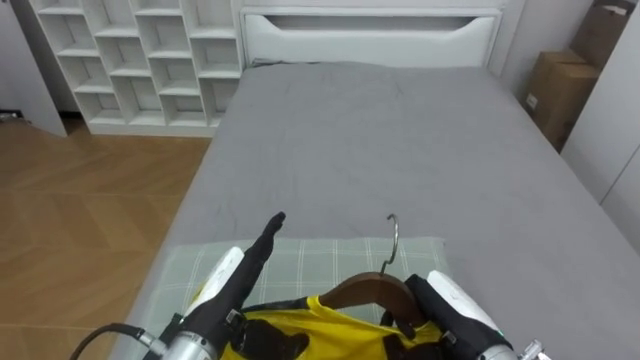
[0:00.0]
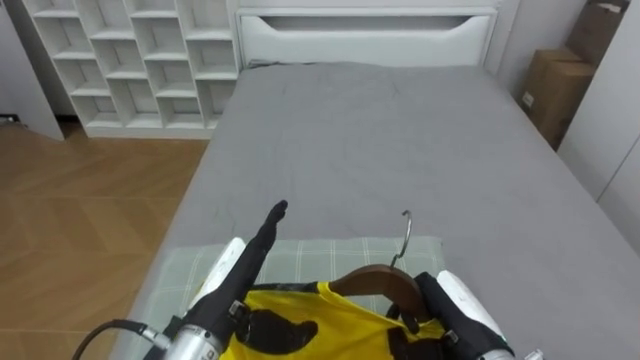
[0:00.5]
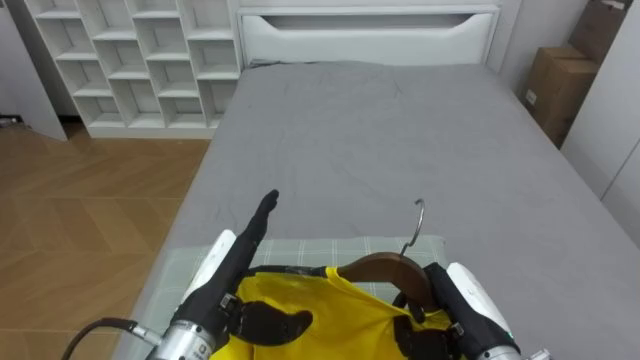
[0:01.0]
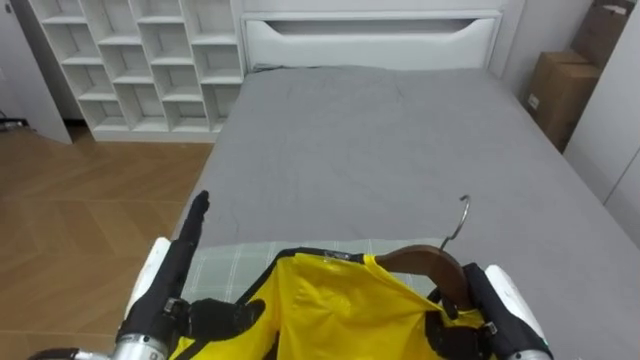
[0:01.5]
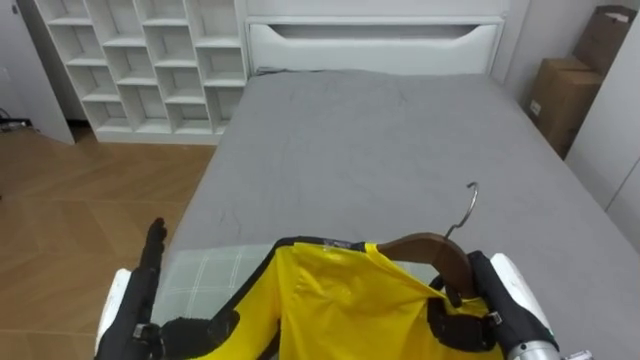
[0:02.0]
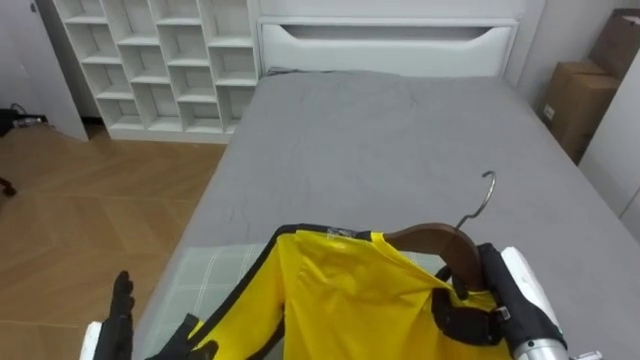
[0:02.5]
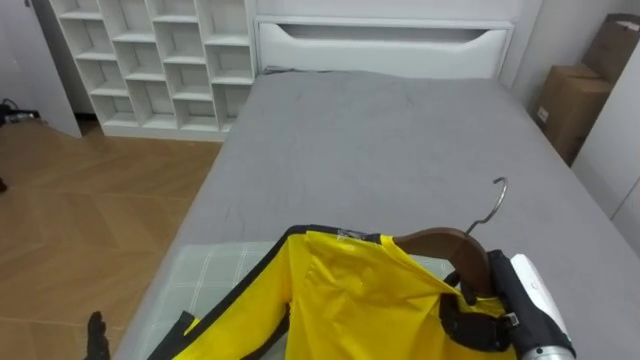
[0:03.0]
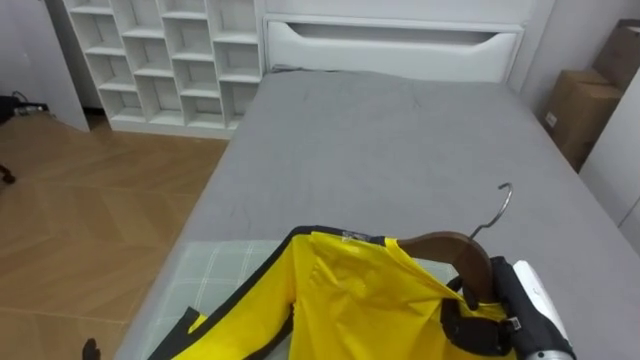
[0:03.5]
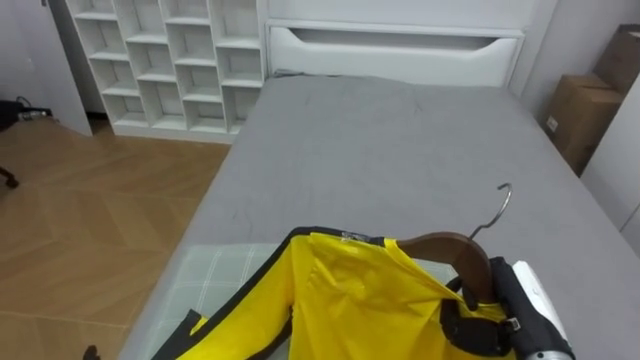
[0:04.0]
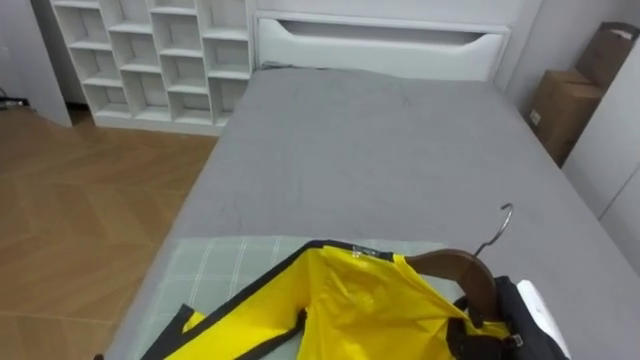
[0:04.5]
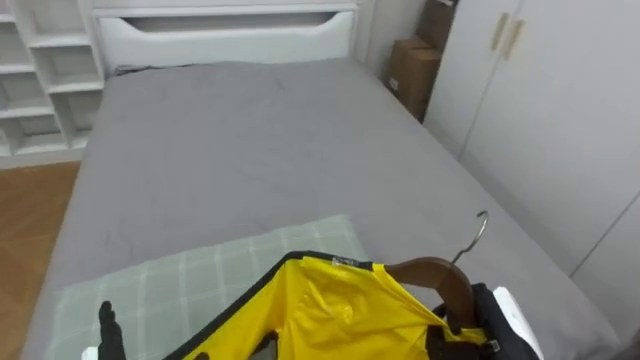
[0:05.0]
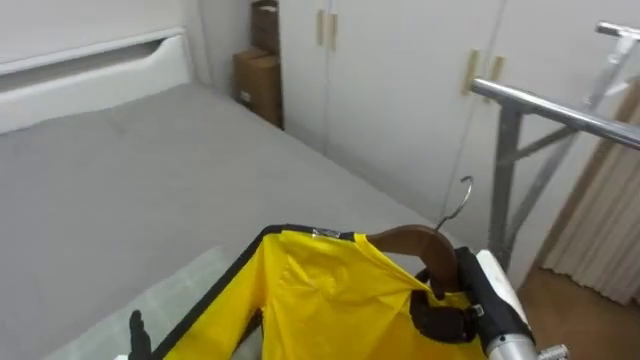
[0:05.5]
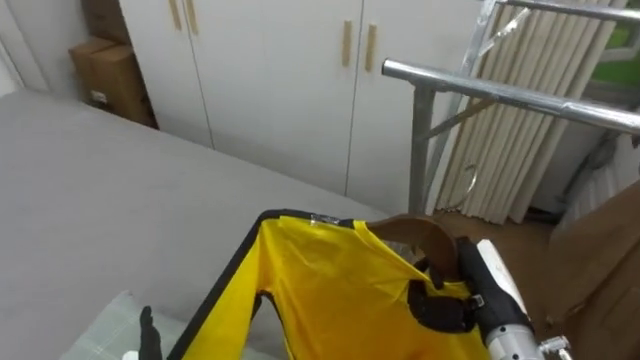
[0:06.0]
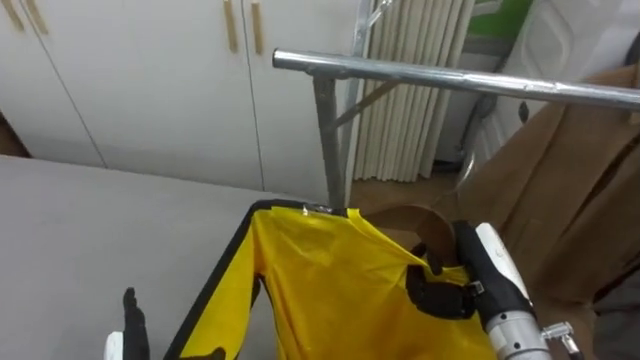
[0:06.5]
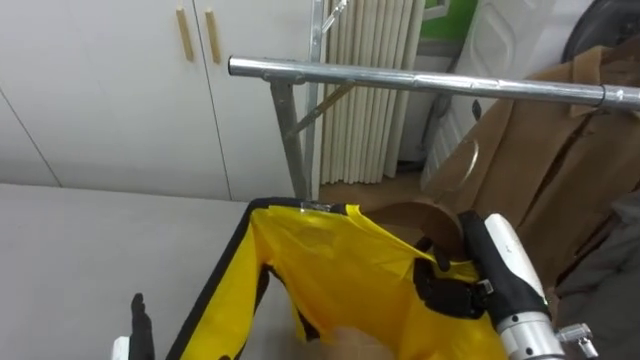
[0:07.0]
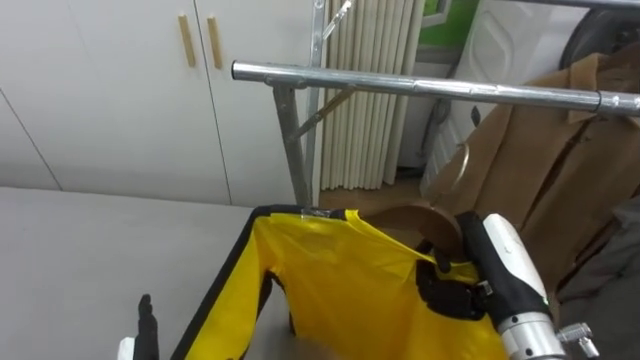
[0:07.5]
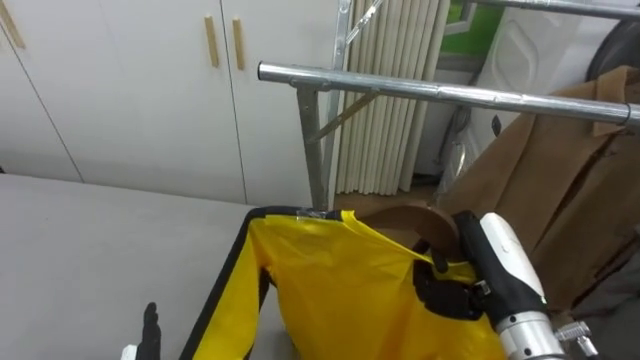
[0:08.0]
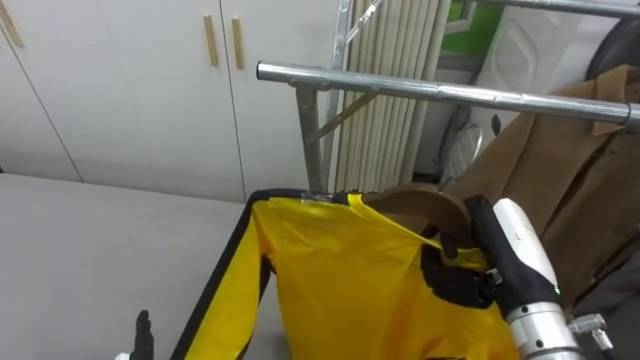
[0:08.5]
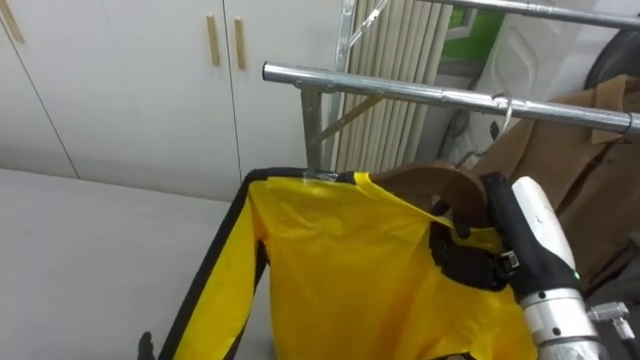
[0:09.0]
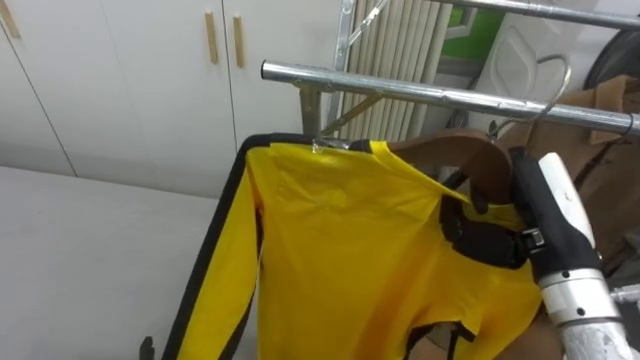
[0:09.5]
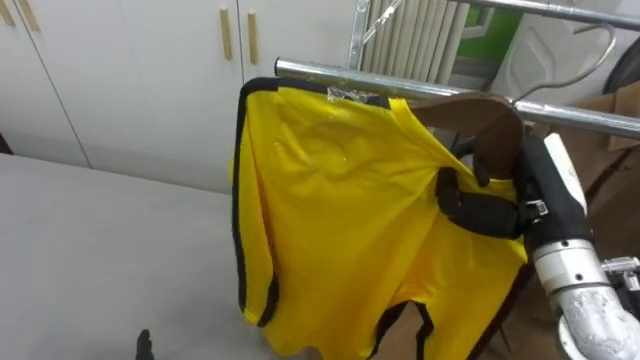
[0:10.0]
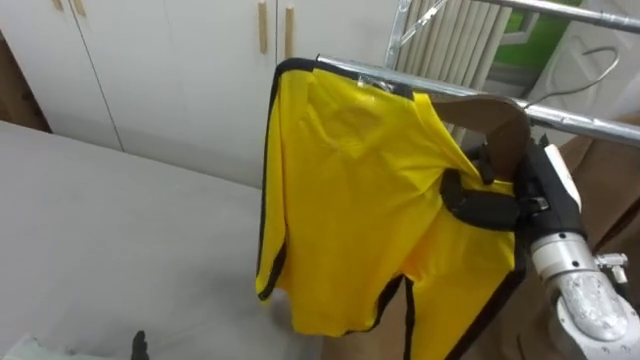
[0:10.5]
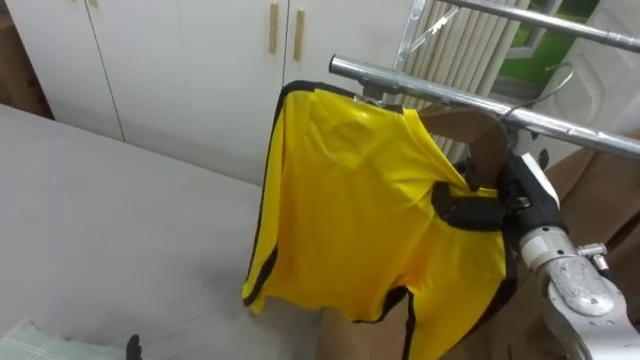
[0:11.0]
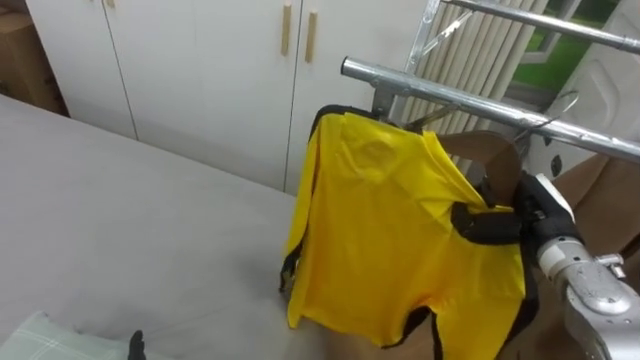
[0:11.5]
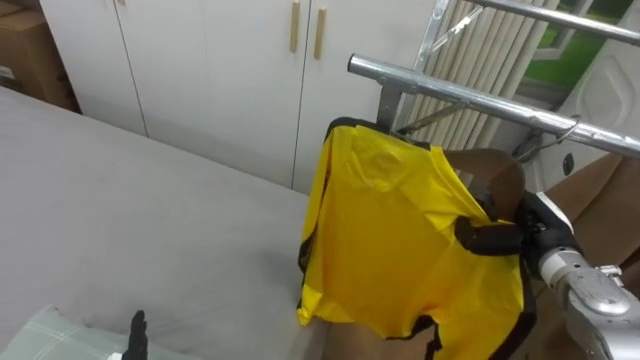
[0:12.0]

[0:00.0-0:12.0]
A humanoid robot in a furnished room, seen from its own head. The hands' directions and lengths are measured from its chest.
Task of the whole recording: Pick up the yellow shirt on the bed and hang it on the clothes rack on the right.
0:00.0 to 0:02.0: The left hand is displaced to the left by some 10 cm, while the right hand is displaced to the right by approximately 5 cm.
0:04.0 to 0:06.0: The robot faces roughly 65 degrees further to its right.
0:06.0 to 0:08.0: The robot faces roughly 20 degrees further to its right. The right hand travels upward by roughly 5 cm.
0:08.0 to 0:10.0: The right hand heads upward, covering some 10 cm.
0:10.0 to 0:12.0: The right hand shifts about 15 cm downward and forward.

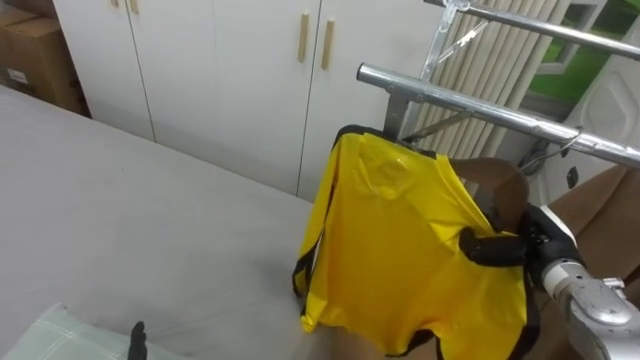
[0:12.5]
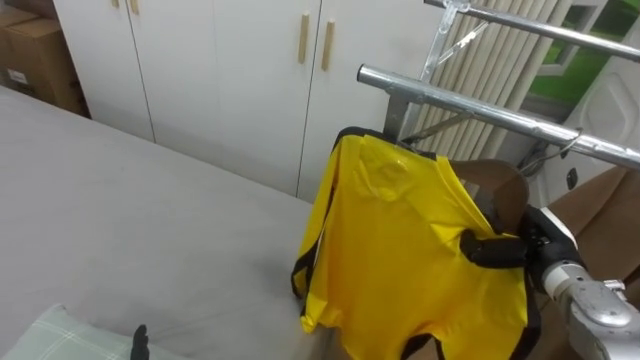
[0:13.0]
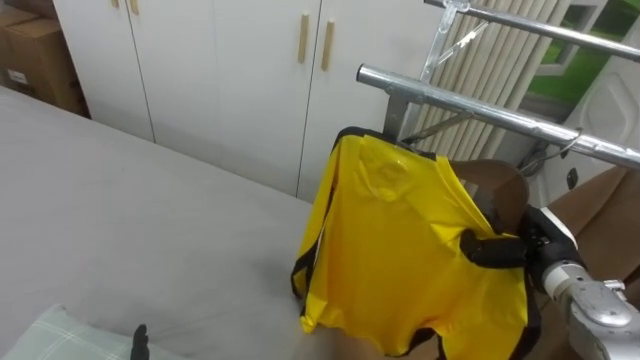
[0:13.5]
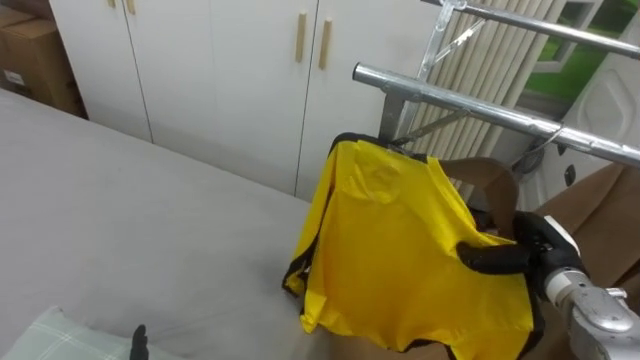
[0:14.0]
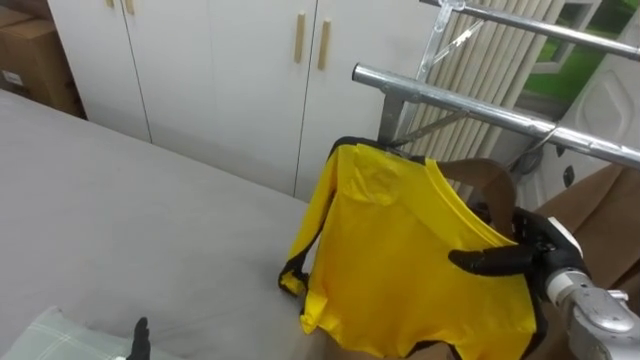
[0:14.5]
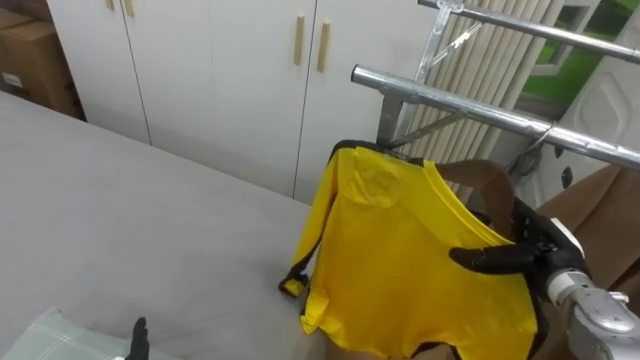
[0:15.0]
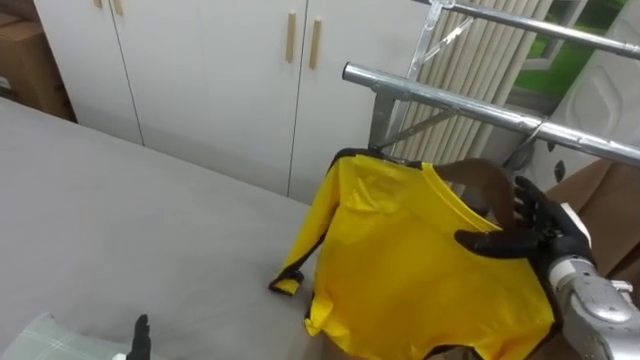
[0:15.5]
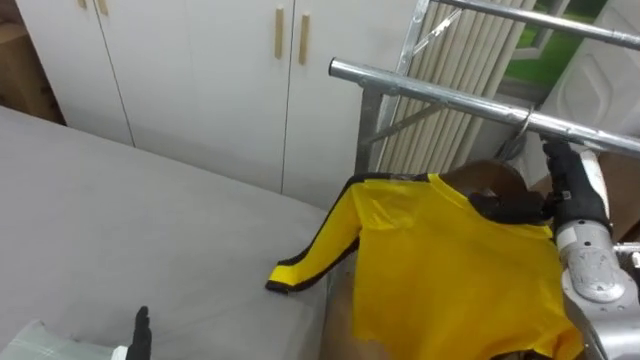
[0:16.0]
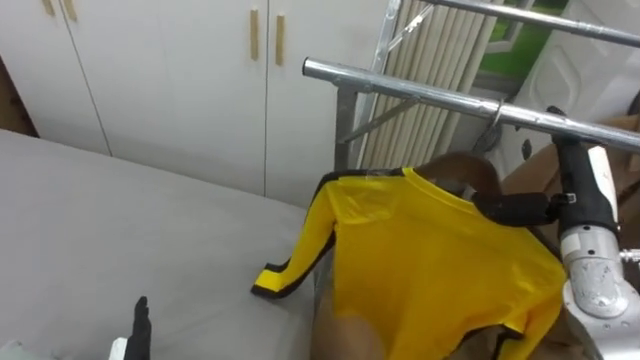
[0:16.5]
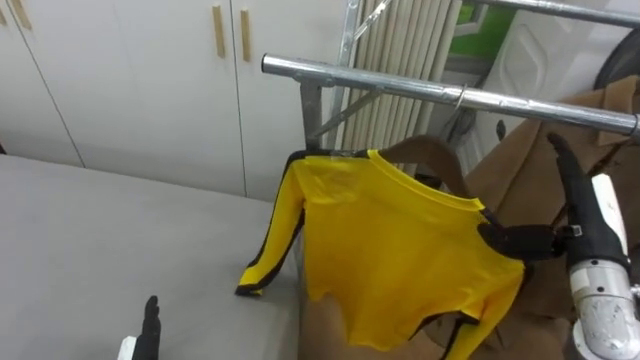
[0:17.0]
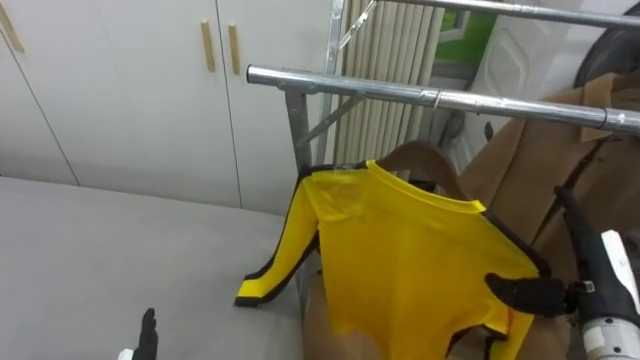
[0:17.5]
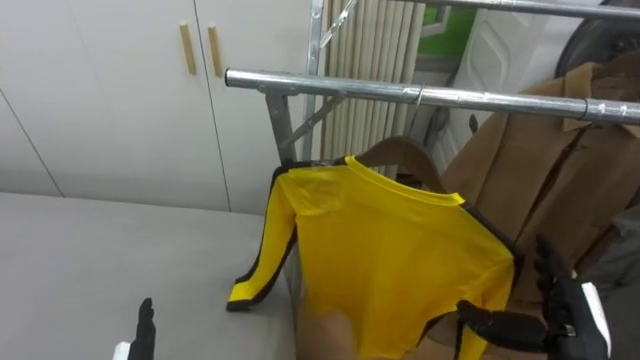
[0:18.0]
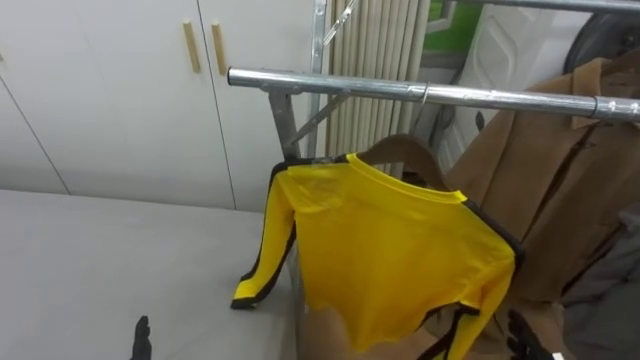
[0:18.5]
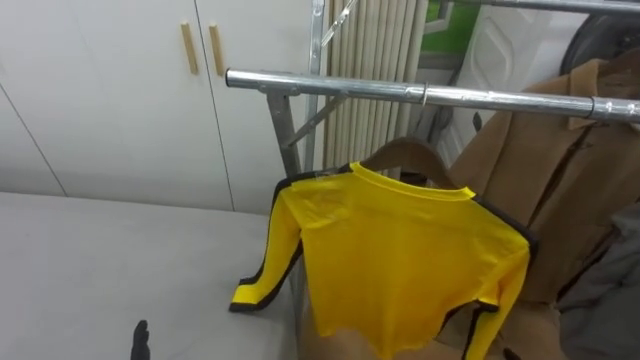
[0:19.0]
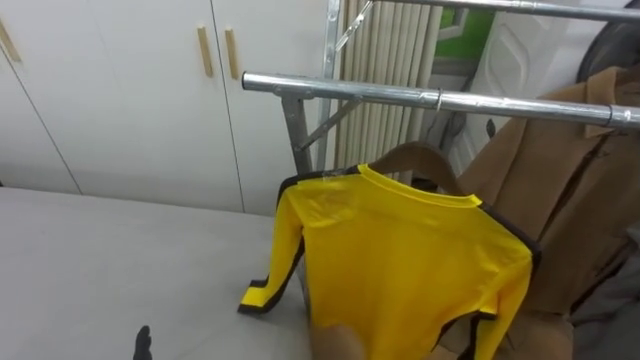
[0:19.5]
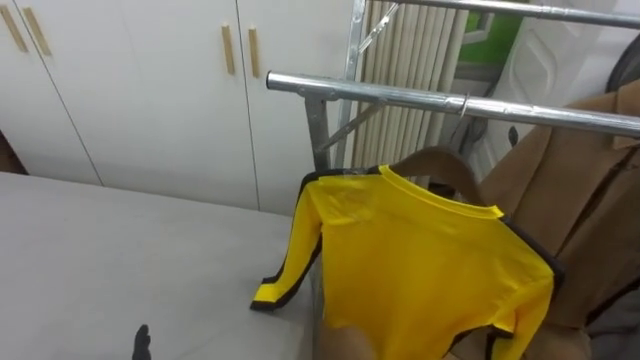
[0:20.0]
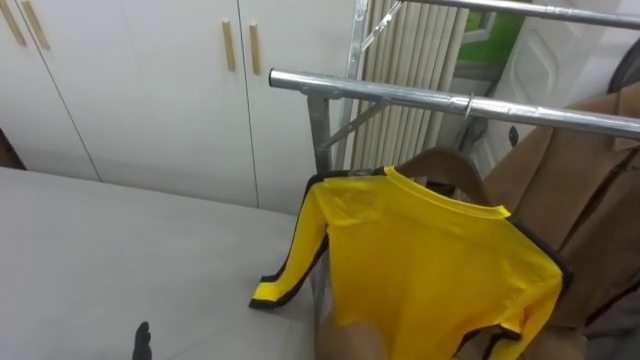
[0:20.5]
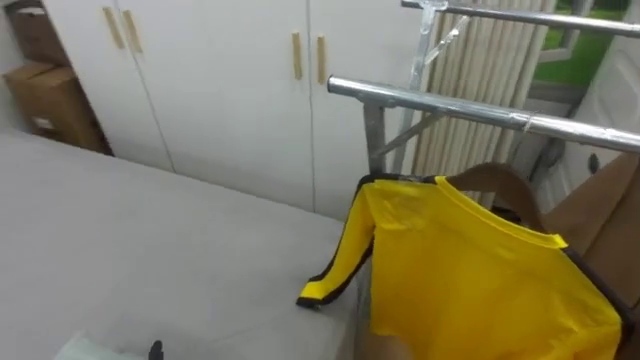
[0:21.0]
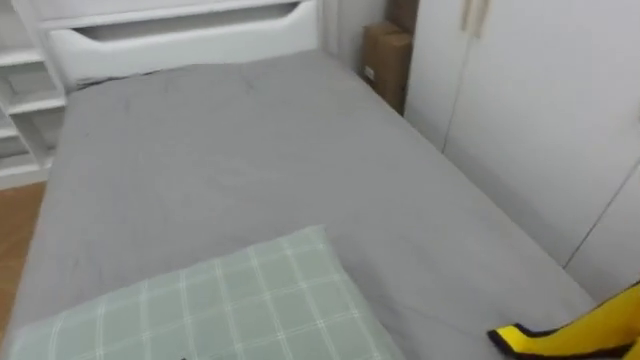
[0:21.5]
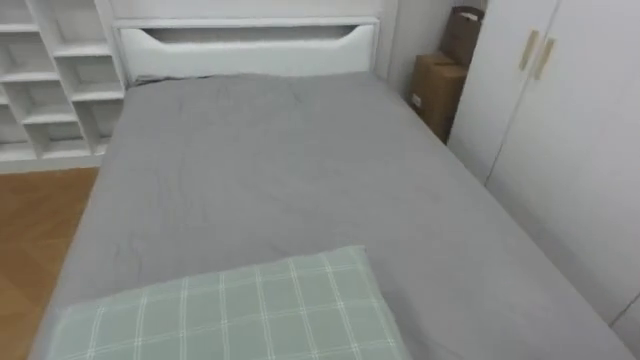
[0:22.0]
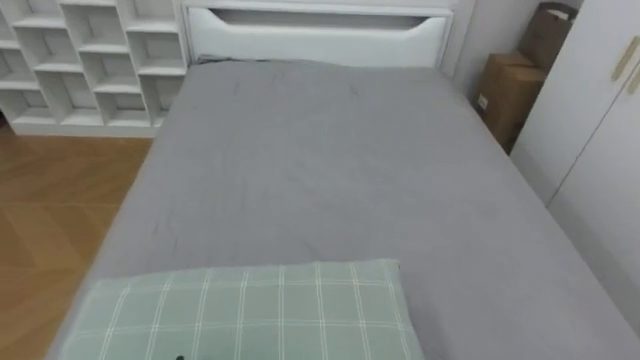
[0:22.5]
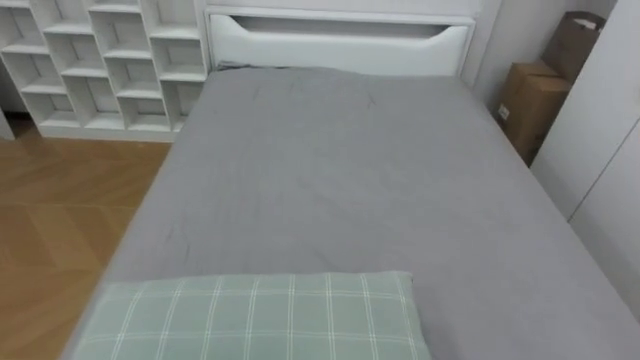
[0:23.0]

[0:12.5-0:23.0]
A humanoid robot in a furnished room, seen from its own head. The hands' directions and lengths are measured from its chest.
Task of the whole recording: Pick up the yellow shirt on the bed and hang it on the clothes rack on the right.
0:12.5 to 0:14.5: The right hand opens its fingers.
0:14.5 to 0:16.5: The right hand heads upward, covering about 10 cm.
0:21.0 to 0:23.0: The robot turns to its left by some 75 degrees.
